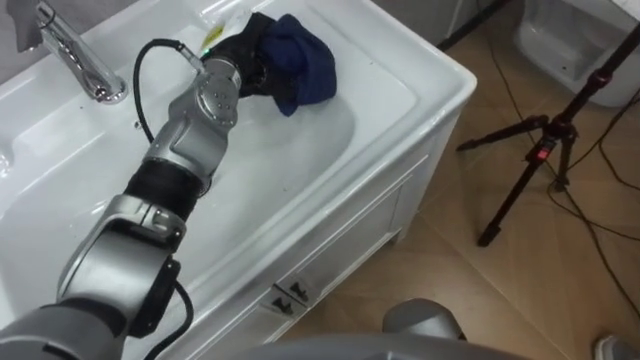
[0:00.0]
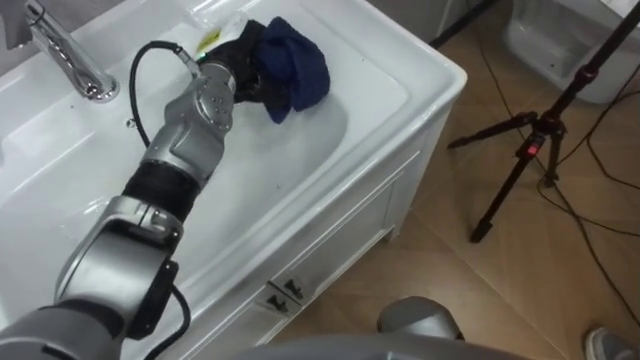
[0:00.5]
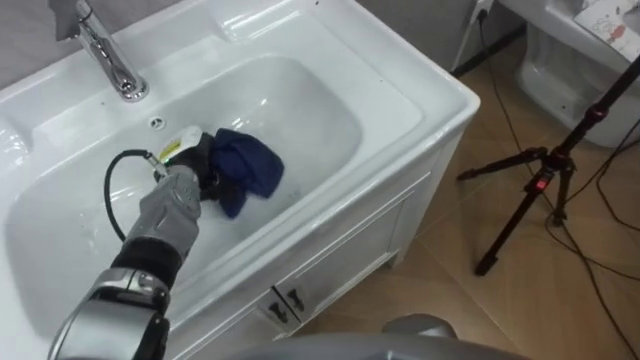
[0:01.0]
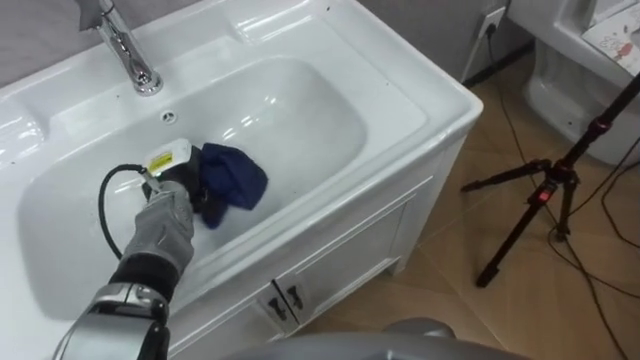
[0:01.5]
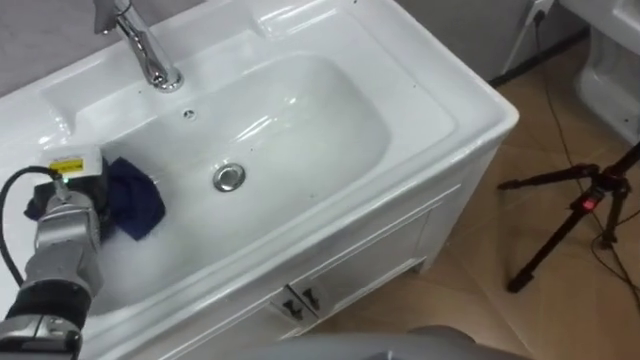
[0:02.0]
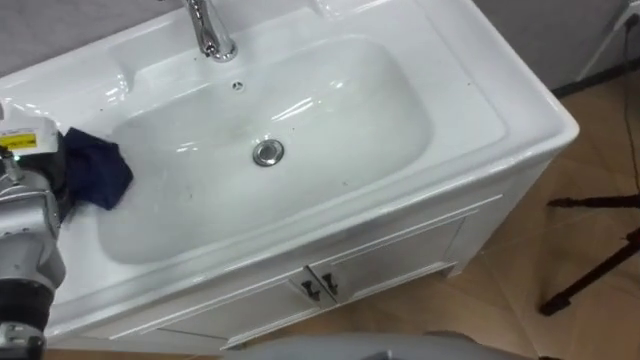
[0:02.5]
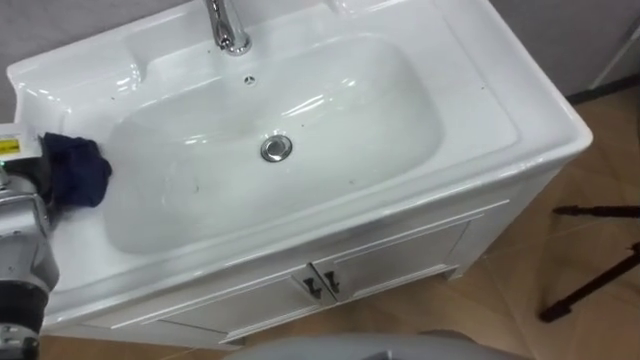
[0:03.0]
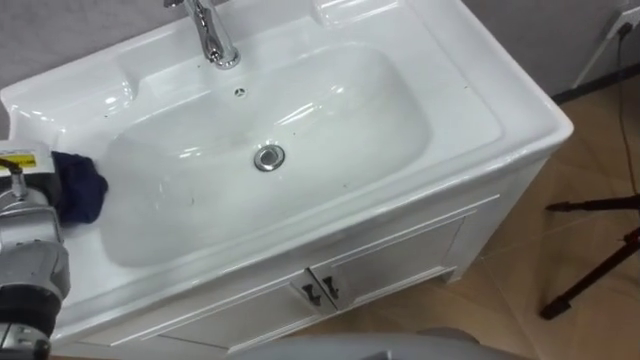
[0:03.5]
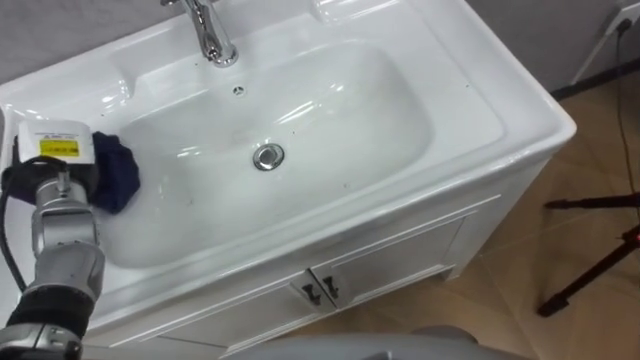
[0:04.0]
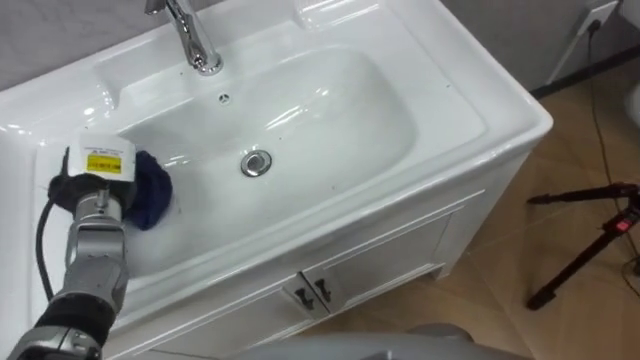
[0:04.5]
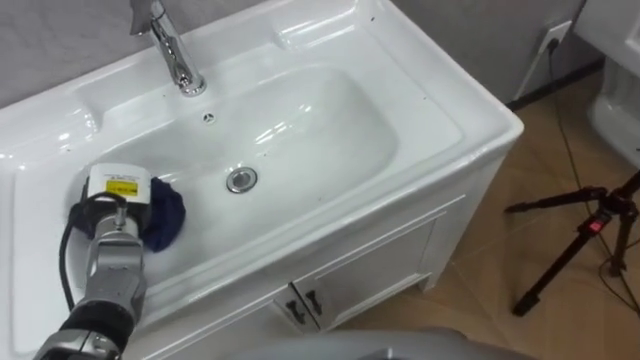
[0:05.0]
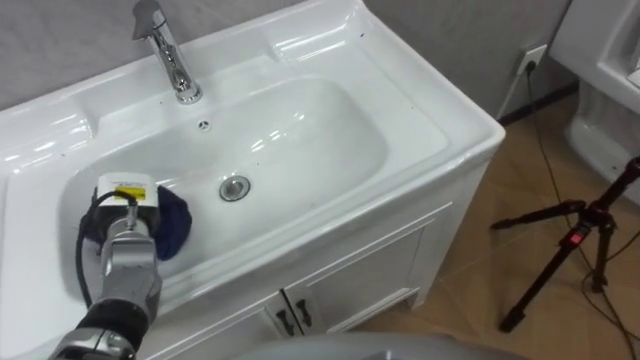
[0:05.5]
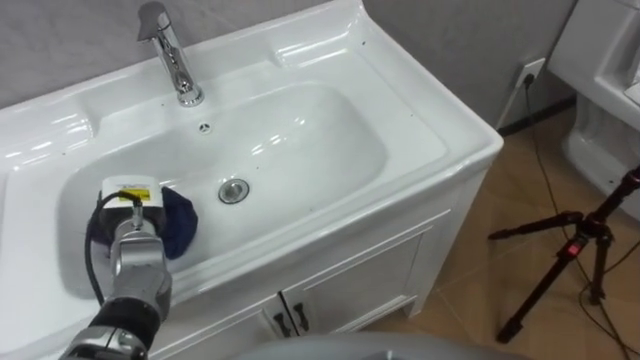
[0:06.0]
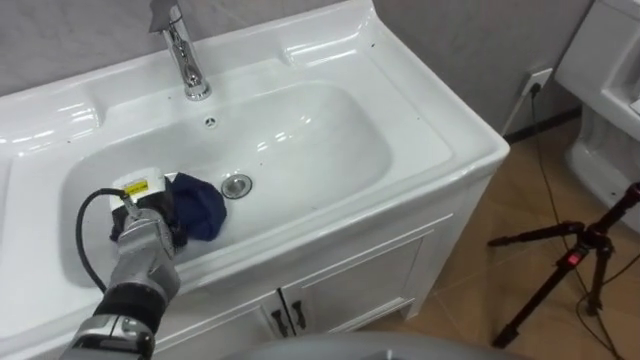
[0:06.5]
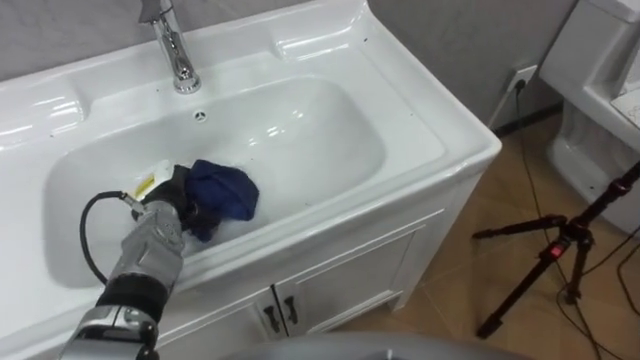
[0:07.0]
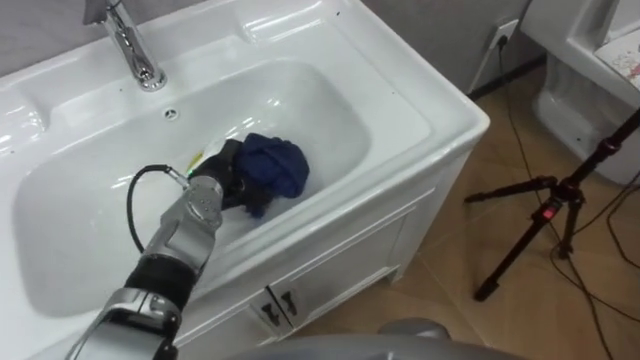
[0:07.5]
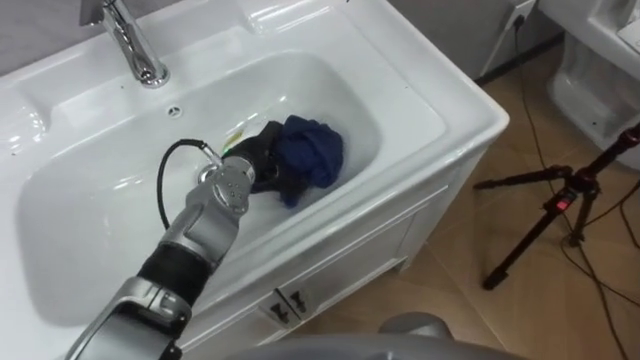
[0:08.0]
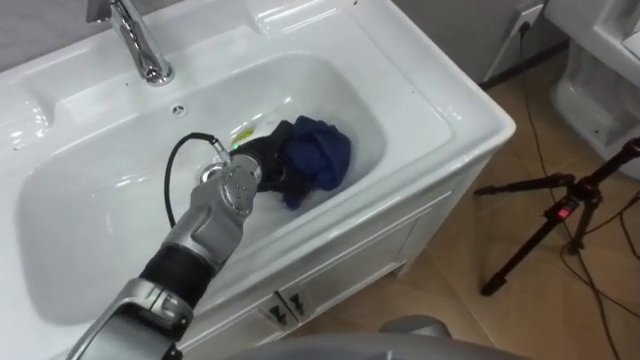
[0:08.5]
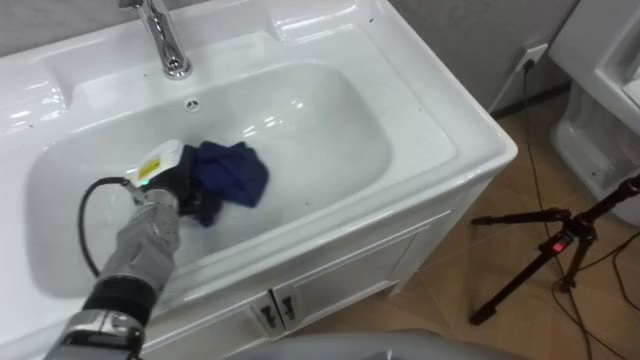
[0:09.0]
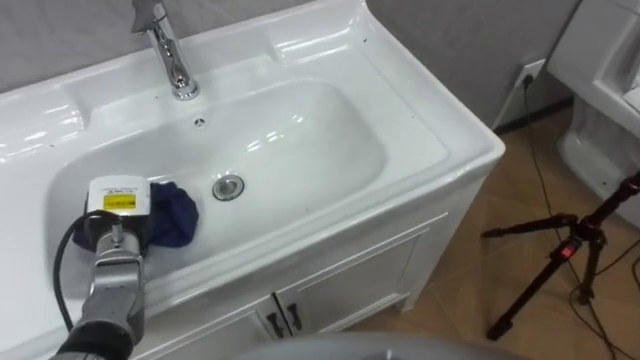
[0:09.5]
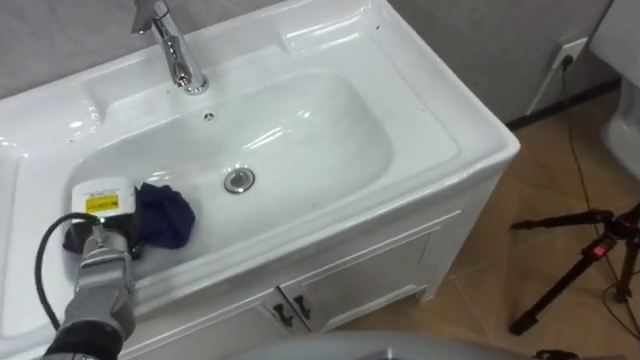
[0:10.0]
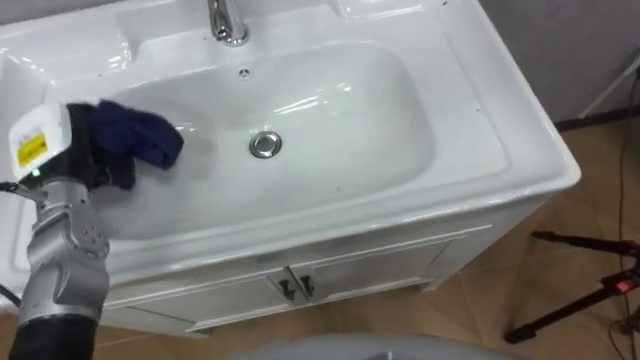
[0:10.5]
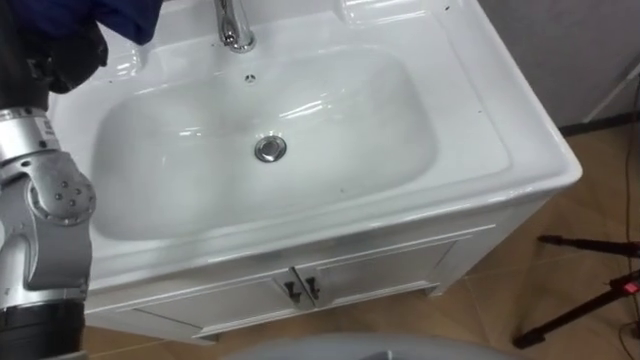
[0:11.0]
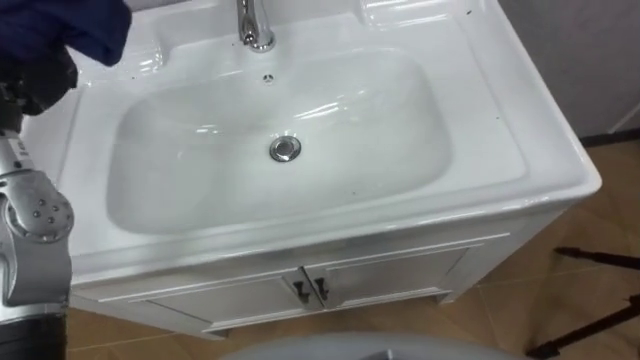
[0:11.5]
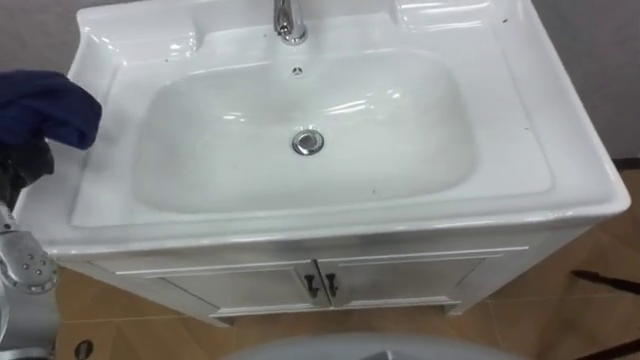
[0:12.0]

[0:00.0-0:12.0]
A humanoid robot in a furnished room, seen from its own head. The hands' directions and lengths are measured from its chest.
Task of the whole recording: Use the cloth on the right to wipe away the black stain in the sink.
0:00.0 to 0:02.0: The left hand is displaced to the left, backward and downward by some 30 cm.
0:04.0 to 0:06.0: The left hand heads downward and to the right, covering some 10 cm.
0:06.0 to 0:08.0: The left hand shifts about 20 cm to the right and forward.
0:08.0 to 0:10.0: The left hand is displaced to the left and backward by some 25 cm.

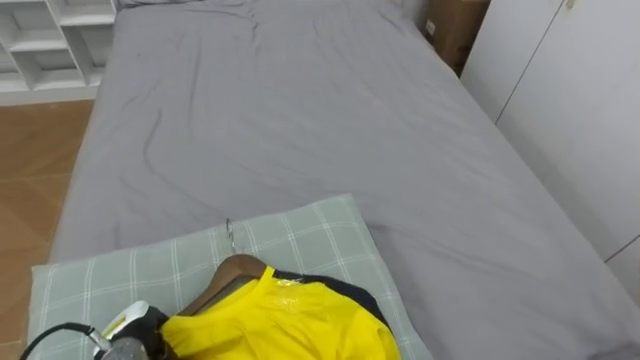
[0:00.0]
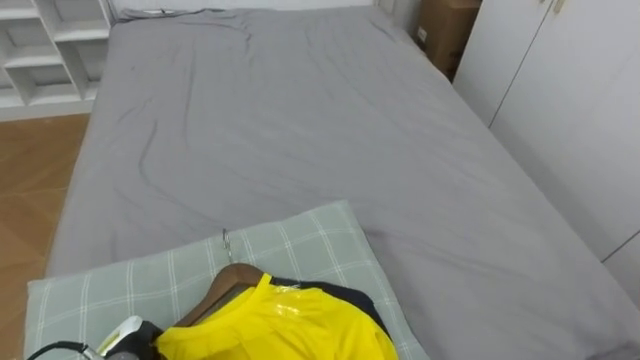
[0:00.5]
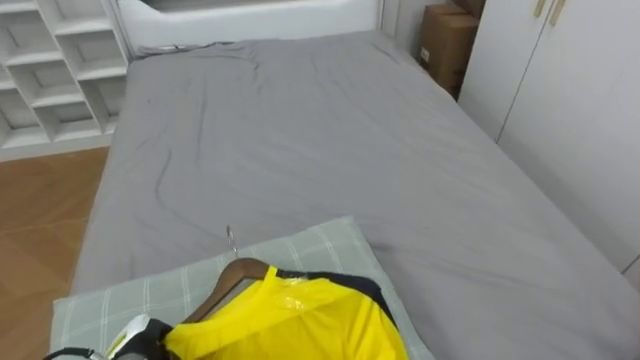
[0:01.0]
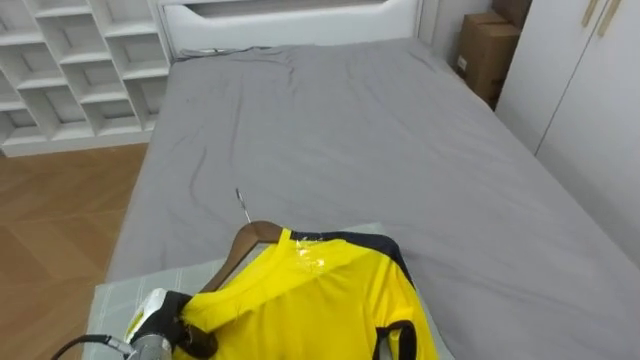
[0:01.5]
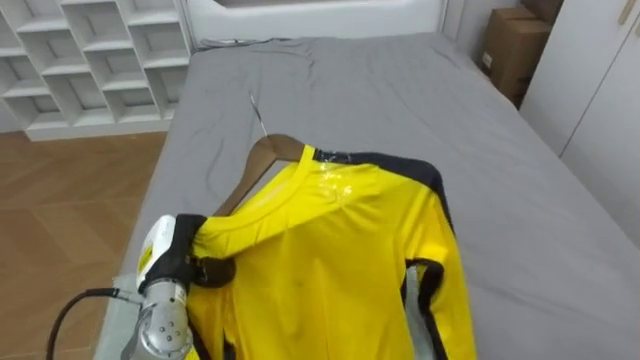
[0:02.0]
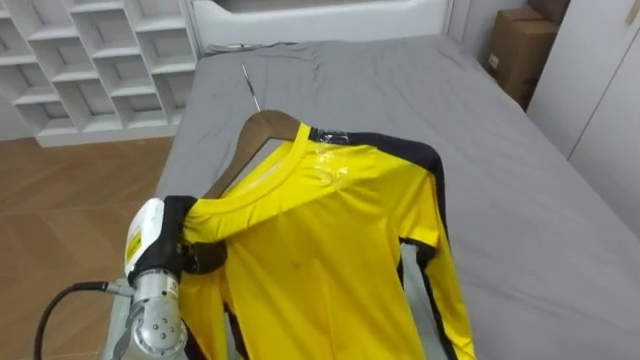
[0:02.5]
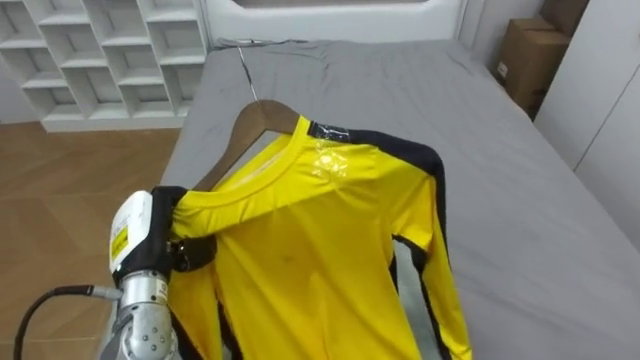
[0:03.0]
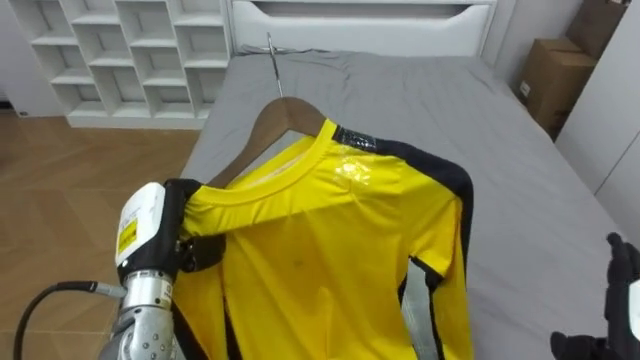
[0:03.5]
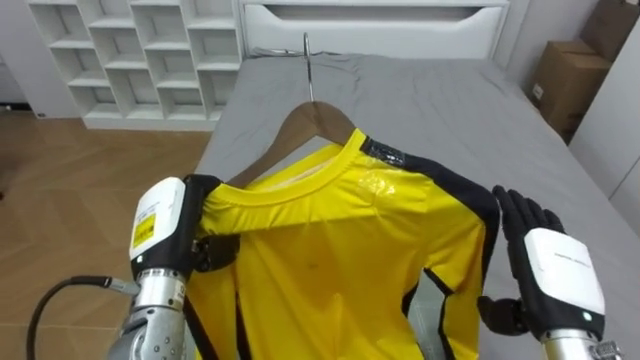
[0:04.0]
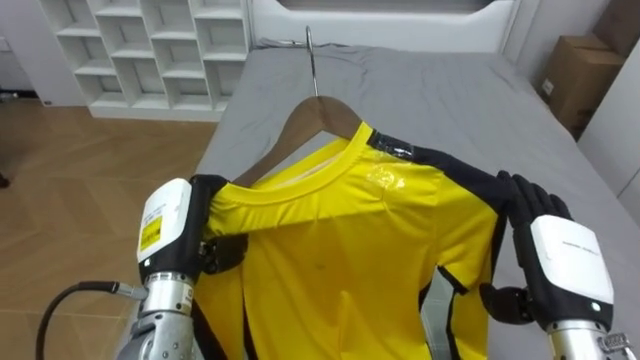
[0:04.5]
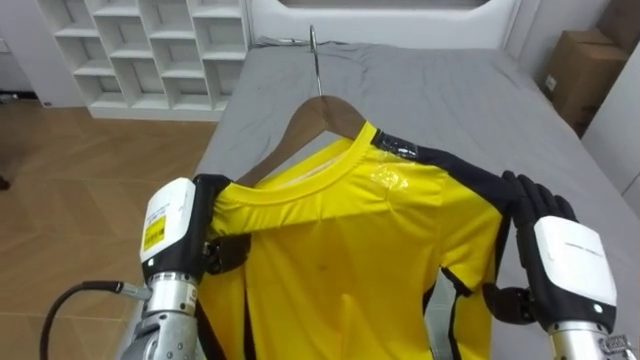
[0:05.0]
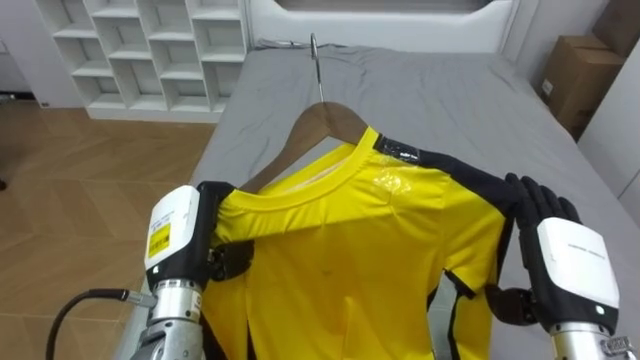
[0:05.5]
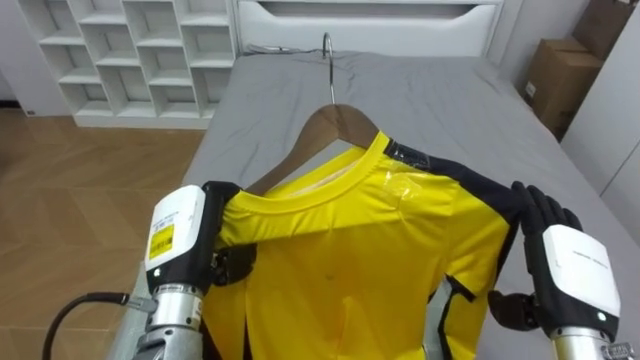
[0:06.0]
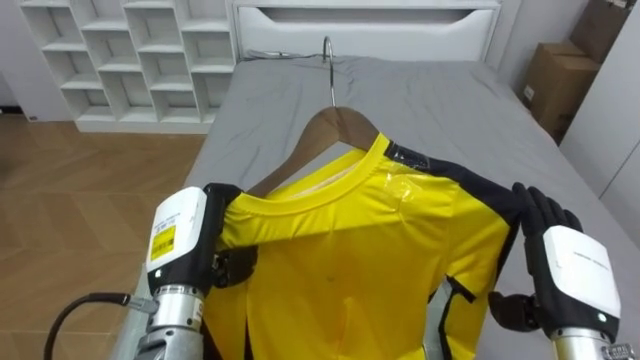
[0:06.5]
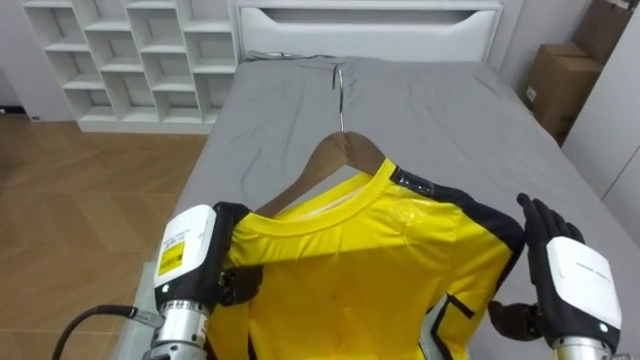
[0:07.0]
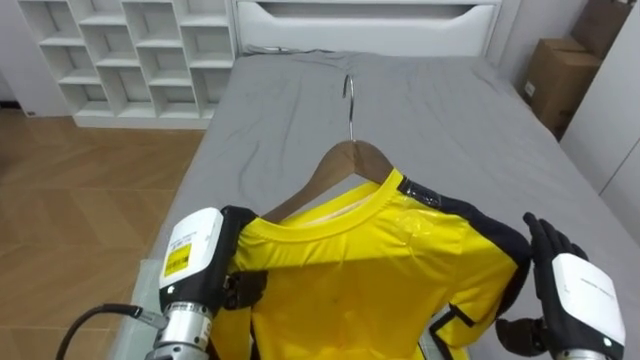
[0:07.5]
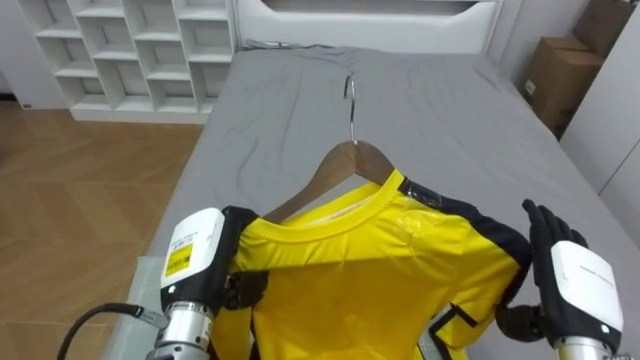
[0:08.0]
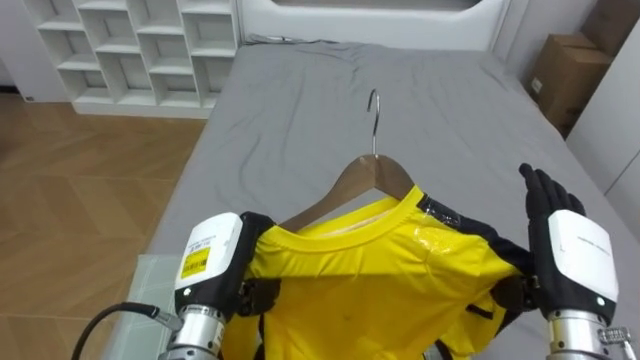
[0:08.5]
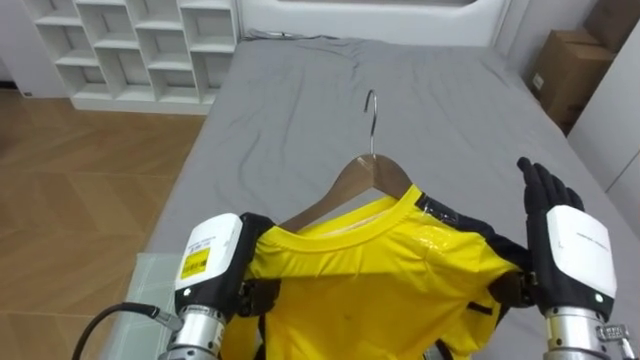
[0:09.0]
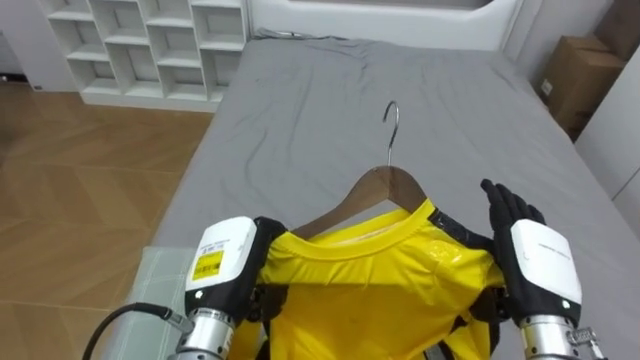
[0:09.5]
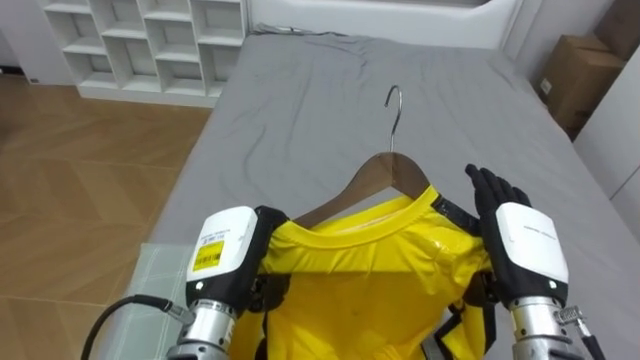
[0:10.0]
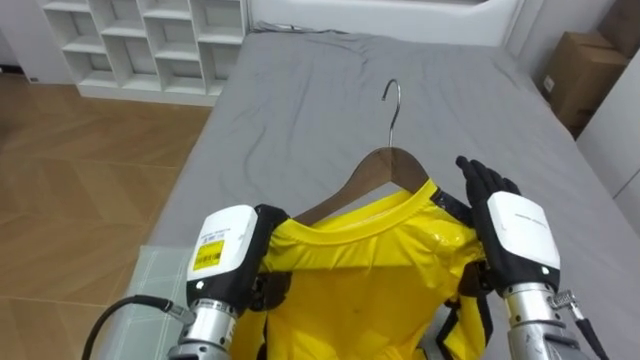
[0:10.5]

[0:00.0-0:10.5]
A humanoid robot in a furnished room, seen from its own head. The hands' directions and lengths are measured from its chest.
Task of the whole recording: Pick up the yellow shirt on the bed and hang it on the clothes rack on the right.
0:00.0 to 0:02.0: The left hand travels upward, to the right and forward by roughly 15 cm.
0:02.0 to 0:04.0: The left hand shifts approximately 10 cm upward.
0:08.5 to 0:10.5: The right hand is displaced to the left by about 5 cm.
